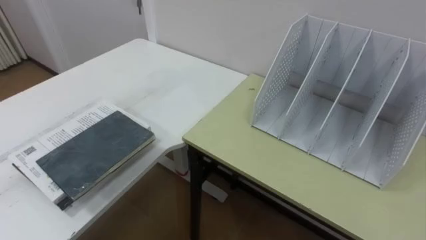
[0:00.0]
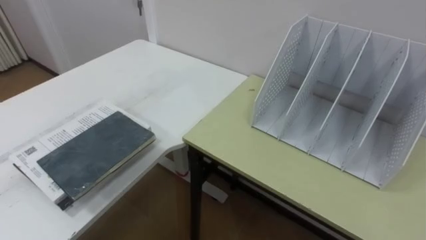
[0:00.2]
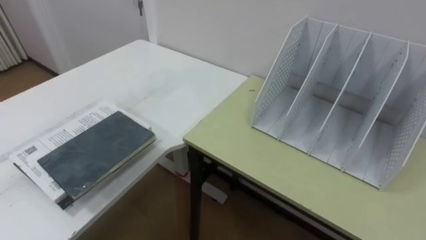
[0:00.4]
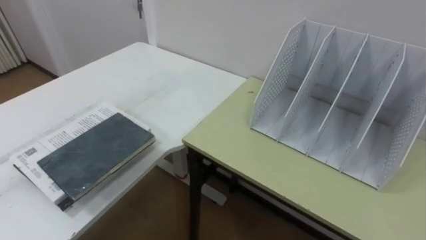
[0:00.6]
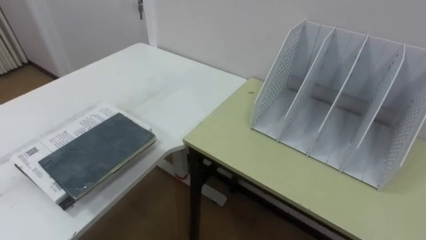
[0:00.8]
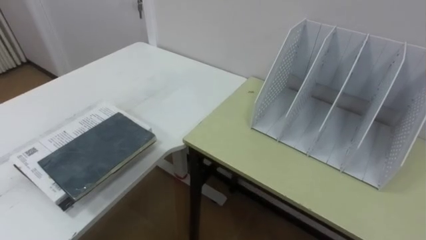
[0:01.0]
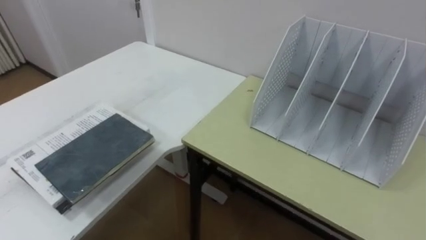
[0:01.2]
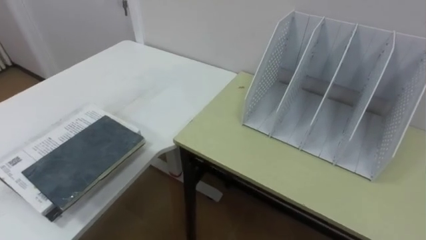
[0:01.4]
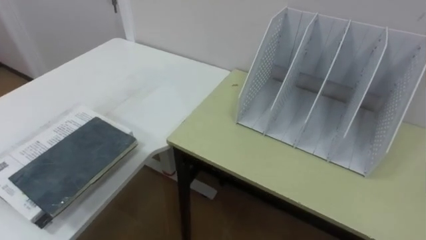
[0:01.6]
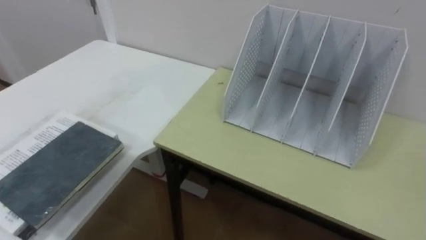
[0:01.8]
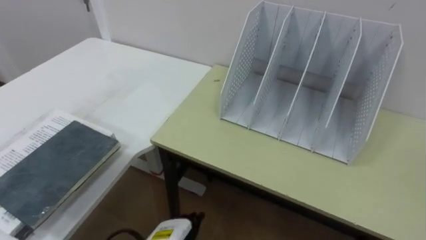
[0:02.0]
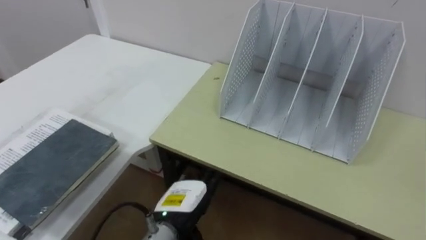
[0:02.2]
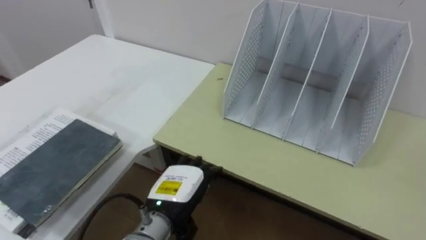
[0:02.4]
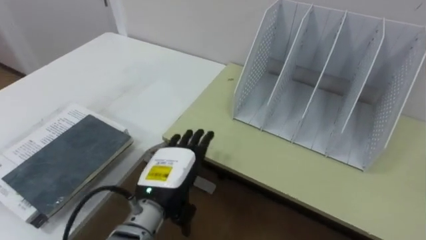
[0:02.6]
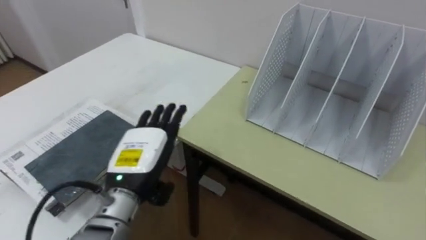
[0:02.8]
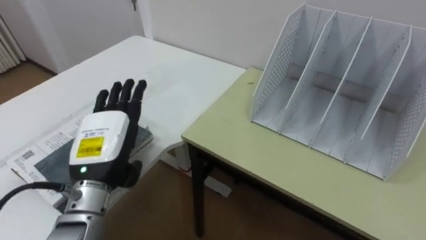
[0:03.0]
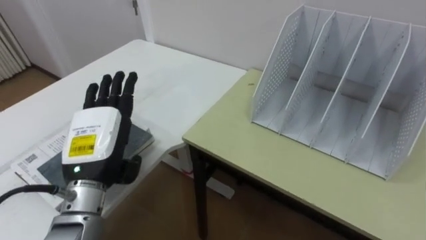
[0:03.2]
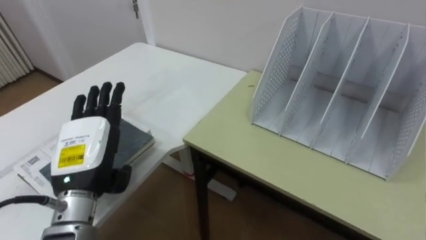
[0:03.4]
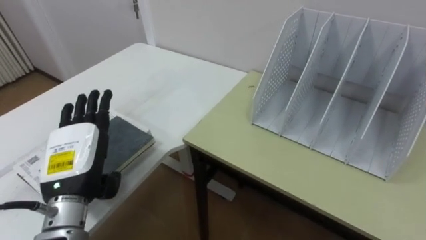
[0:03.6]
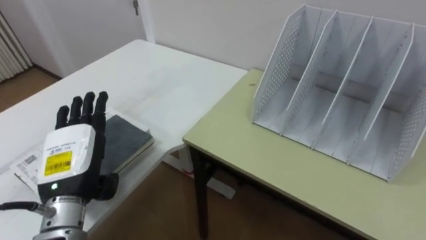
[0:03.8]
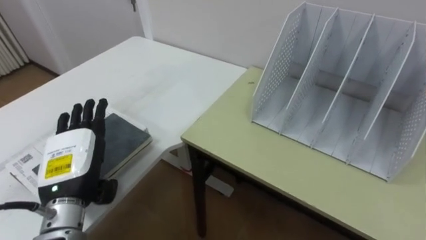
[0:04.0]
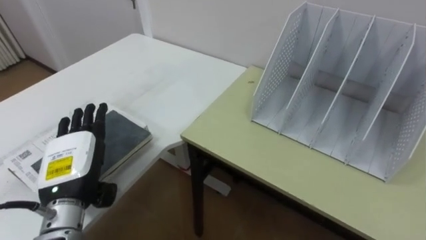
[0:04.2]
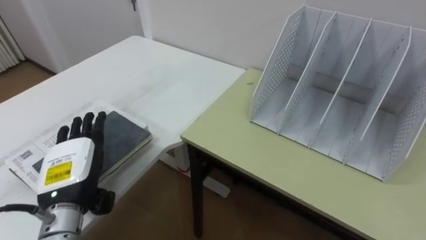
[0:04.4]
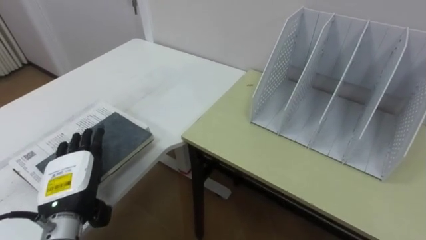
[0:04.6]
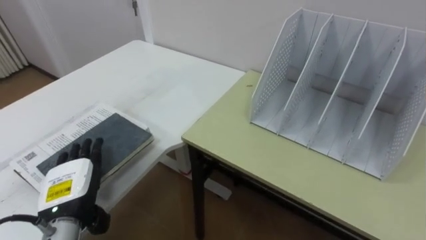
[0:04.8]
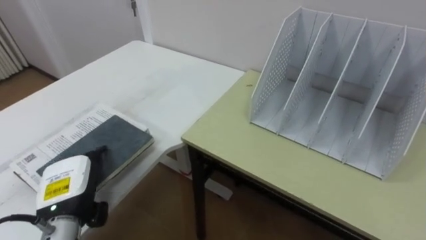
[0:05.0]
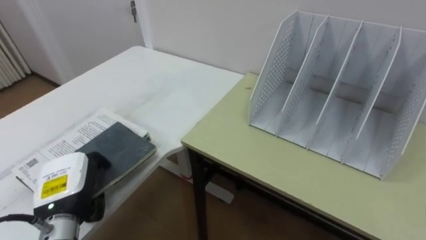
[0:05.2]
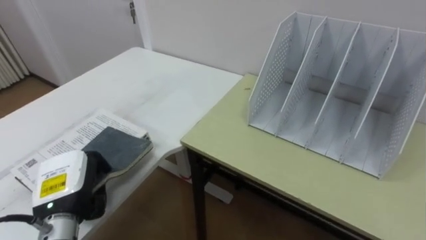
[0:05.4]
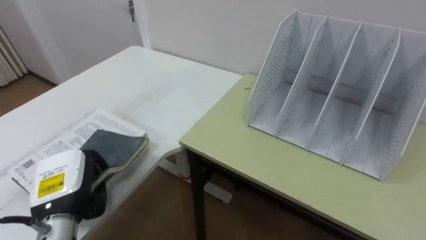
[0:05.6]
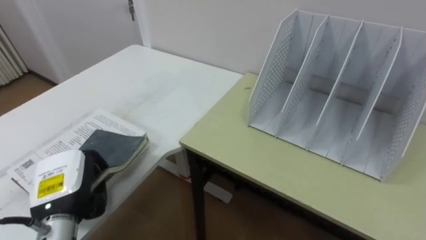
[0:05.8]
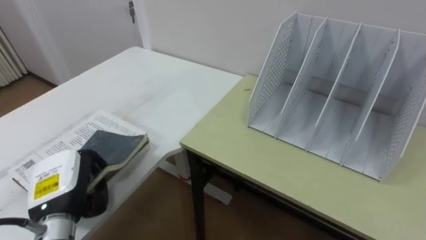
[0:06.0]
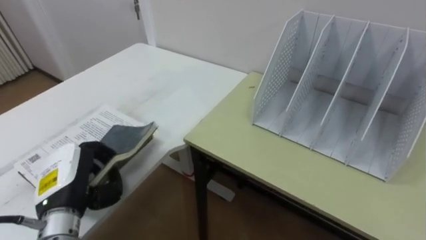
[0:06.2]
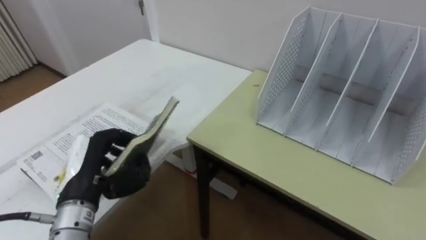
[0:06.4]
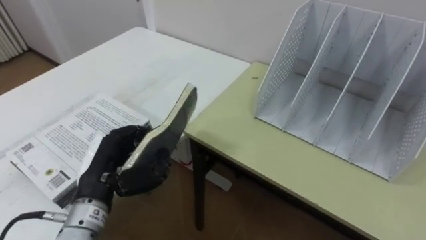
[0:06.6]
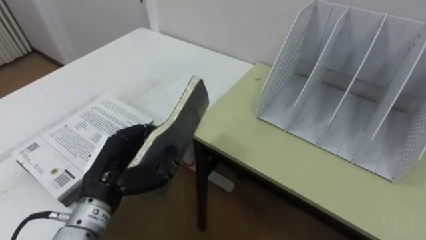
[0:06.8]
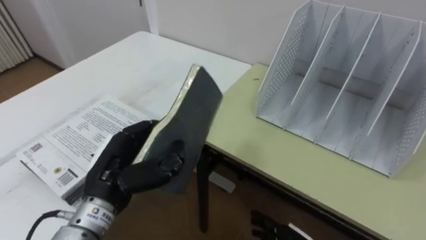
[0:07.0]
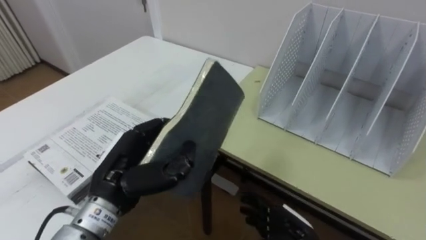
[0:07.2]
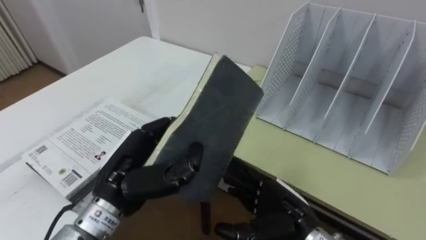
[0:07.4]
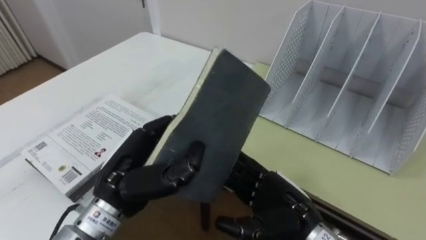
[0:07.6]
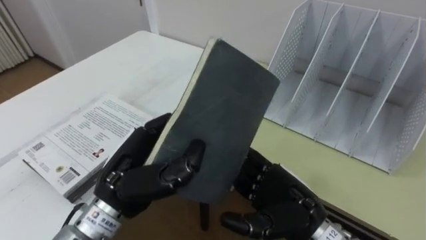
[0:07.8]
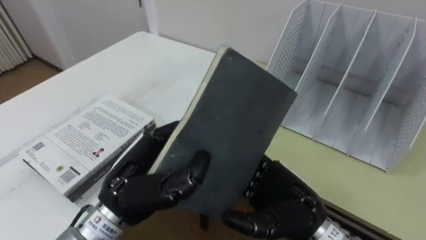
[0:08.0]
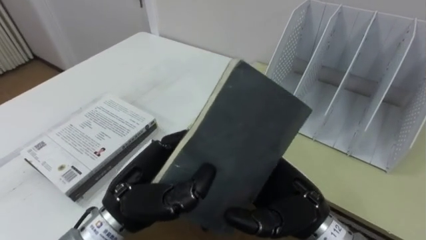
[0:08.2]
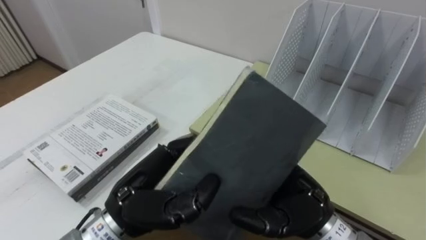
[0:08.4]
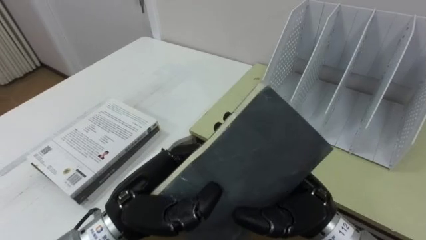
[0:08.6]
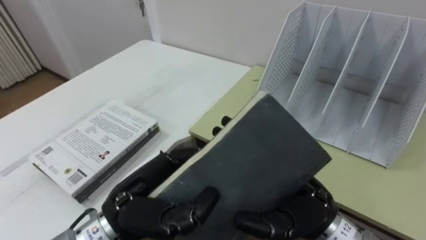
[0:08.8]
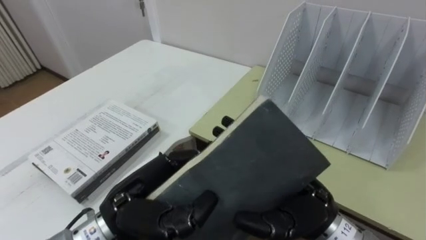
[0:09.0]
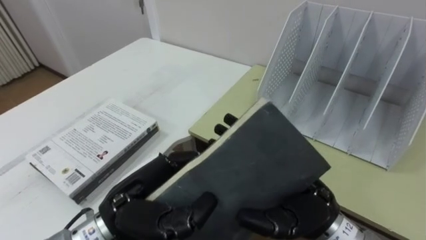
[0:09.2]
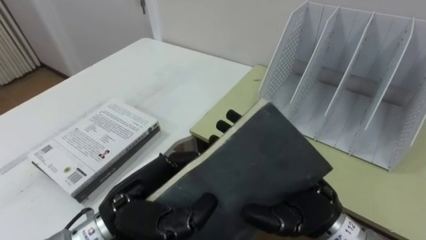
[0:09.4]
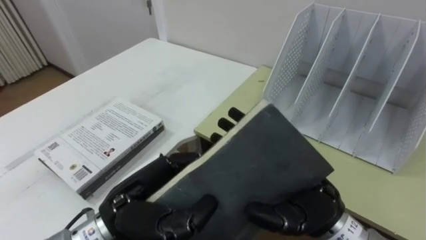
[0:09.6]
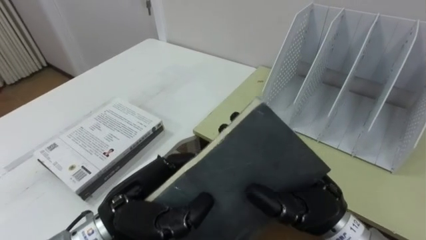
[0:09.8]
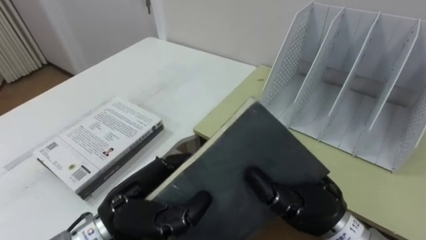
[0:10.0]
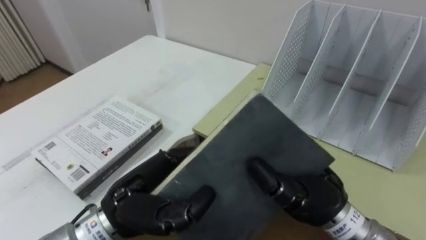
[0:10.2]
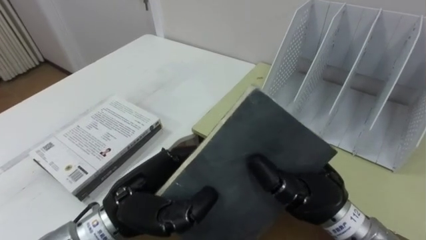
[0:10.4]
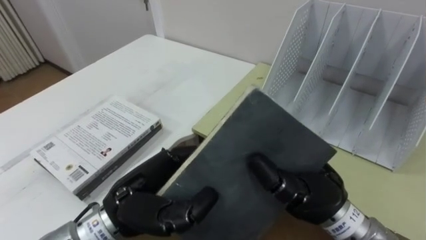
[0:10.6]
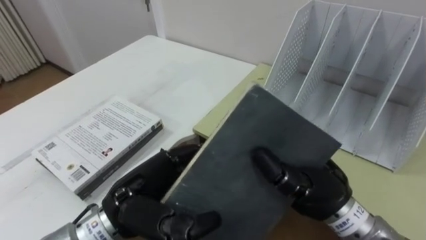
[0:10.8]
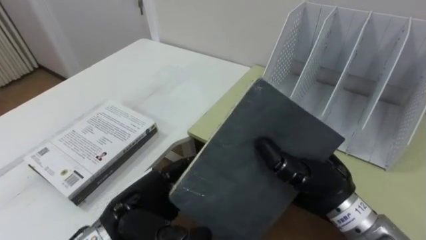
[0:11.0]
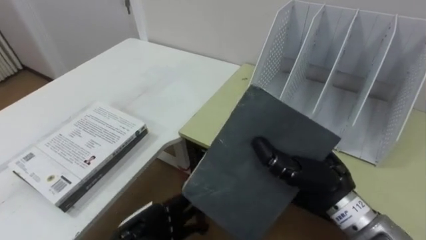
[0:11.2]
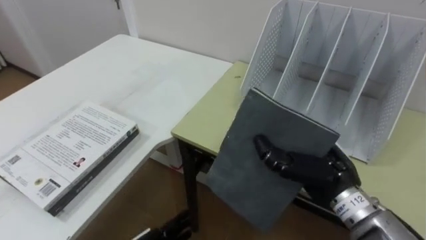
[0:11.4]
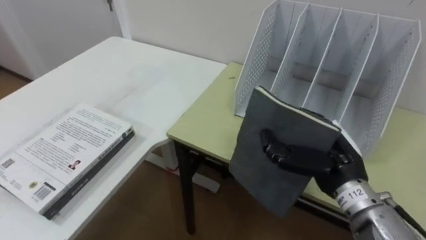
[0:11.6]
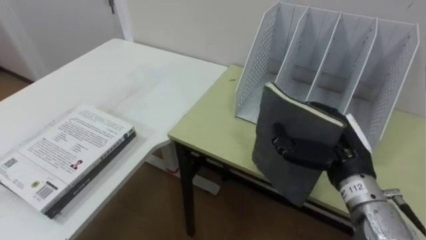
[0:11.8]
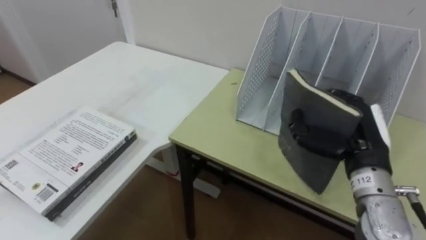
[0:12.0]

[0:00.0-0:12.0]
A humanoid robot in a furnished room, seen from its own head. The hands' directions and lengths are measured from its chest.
Task of the whole recording: Put the books on the table onto the bookshelf.
0:03.0 to 0:04.4: The left hand is displaced to the left by some 5 cm.
0:04.4 to 0:06.0: The left hand closes up.
0:06.0 to 0:07.6: The left hand travels to the right and upward by approximately 15 cm.
0:07.6 to 0:09.0: The right hand heads upward, covering some 5 cm.
0:09.0 to 0:10.4: The right hand closes up.
0:10.4 to 0:12.0: The right hand travels to the right and forward by approximately 10 cm.

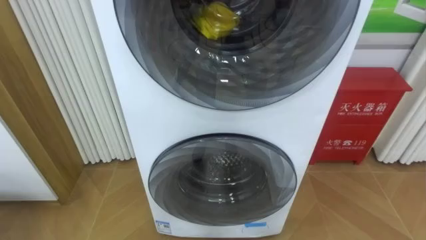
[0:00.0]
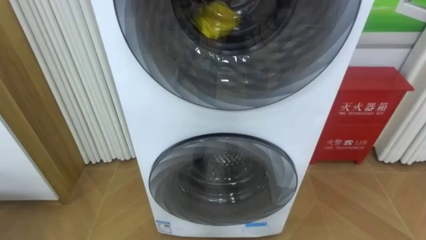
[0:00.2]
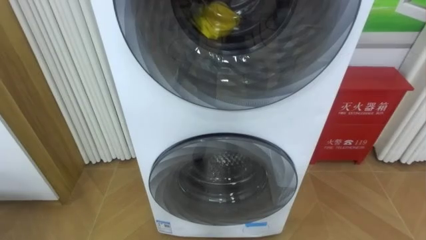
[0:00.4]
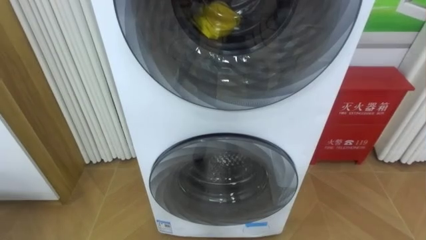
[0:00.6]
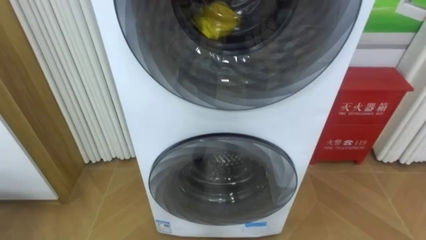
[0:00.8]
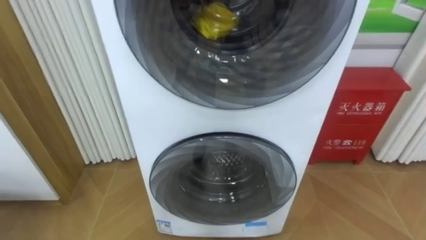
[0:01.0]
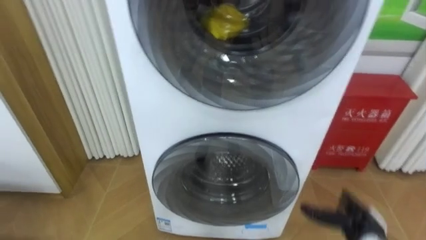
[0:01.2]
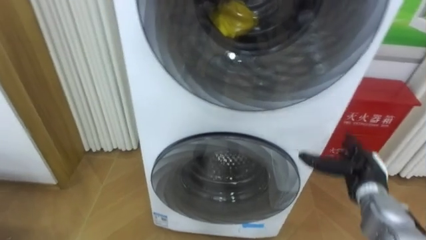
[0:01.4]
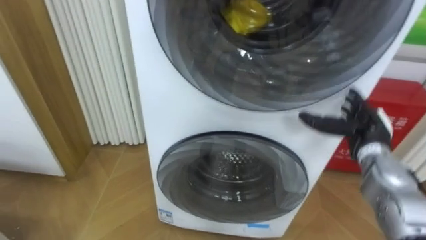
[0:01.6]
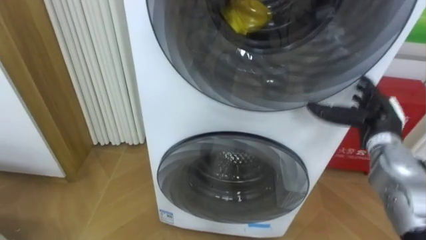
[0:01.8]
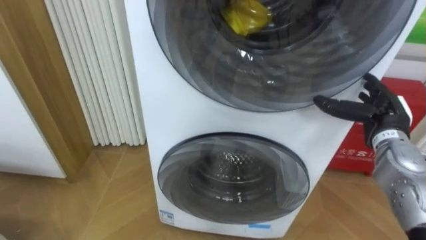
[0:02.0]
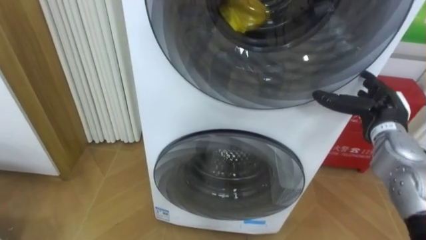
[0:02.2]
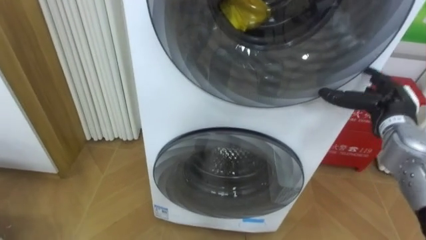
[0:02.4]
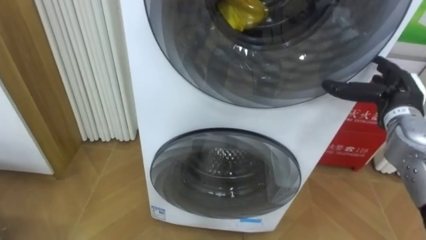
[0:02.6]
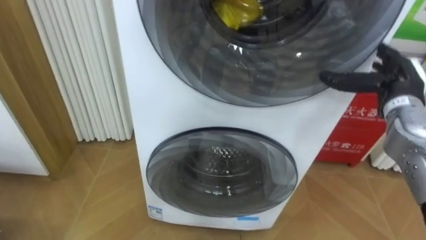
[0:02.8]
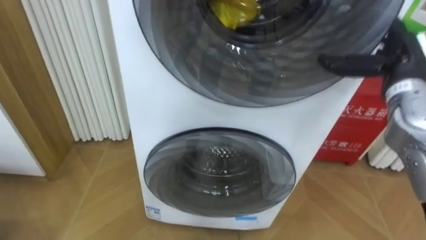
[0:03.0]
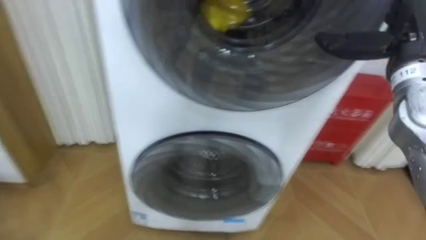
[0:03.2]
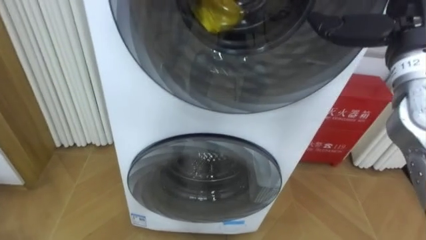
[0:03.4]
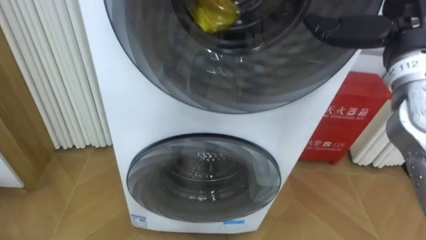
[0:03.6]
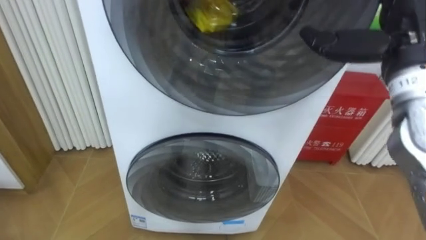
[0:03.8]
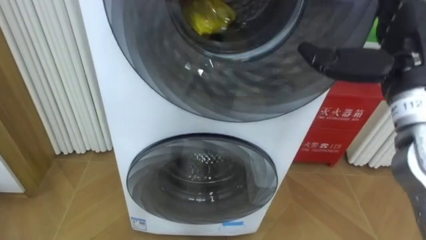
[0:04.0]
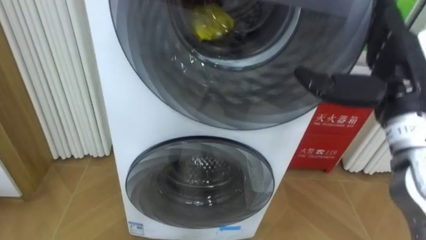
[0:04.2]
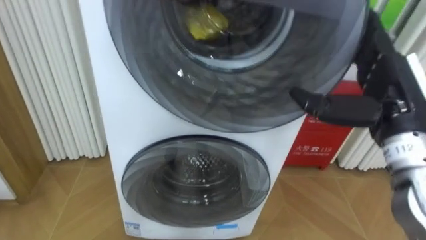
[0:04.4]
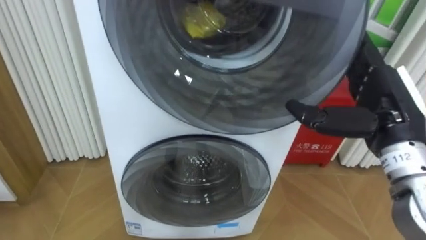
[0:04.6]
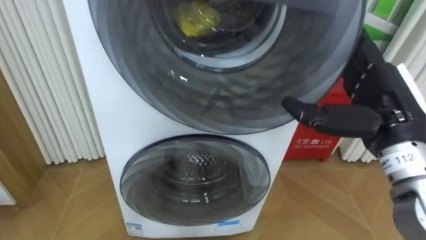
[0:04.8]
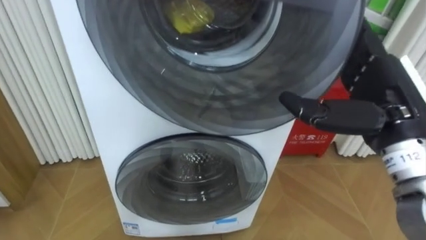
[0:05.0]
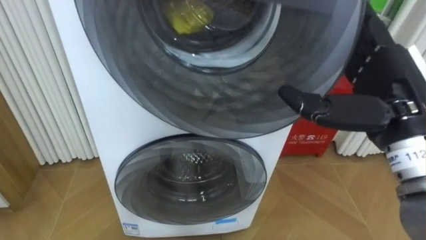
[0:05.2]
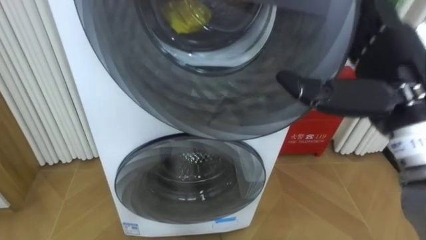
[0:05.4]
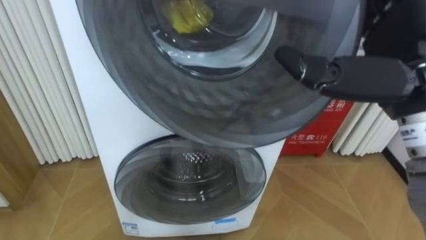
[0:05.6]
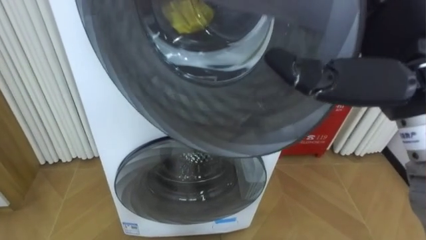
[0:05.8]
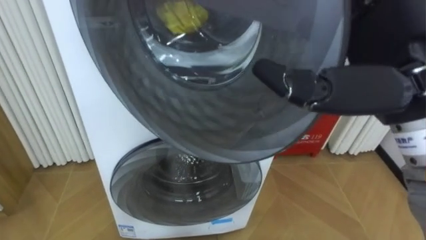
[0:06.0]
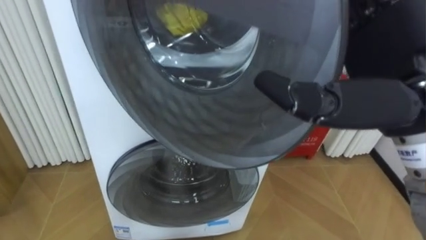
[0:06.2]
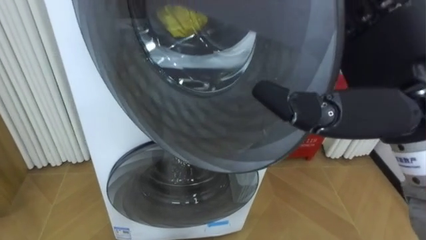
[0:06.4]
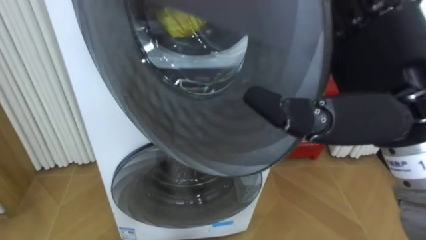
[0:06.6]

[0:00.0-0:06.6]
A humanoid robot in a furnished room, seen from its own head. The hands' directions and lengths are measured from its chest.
Task of the whole recording: Open the washing machine door, take out the yellow clothes, place them in the box on the right, and close the washing machine door.
0:01.6 to 0:03.2: The right hand travels upward by roughly 20 cm.
0:03.2 to 0:05.0: The right hand goes about 10 cm backward.
0:05.0 to 0:06.6: The right hand is displaced upward, to the left and backward by roughly 10 cm.
